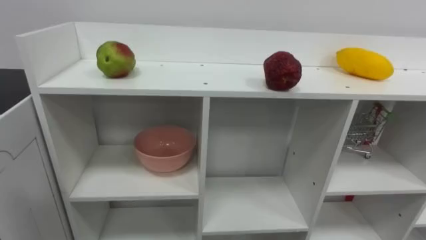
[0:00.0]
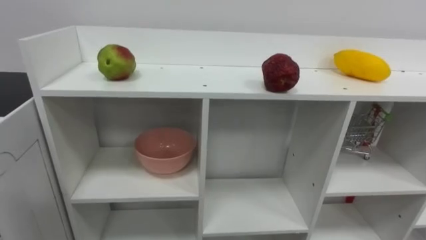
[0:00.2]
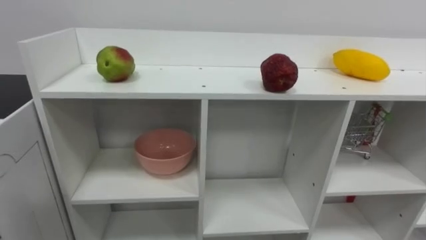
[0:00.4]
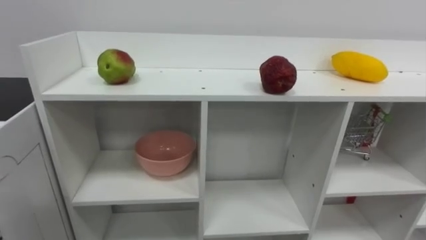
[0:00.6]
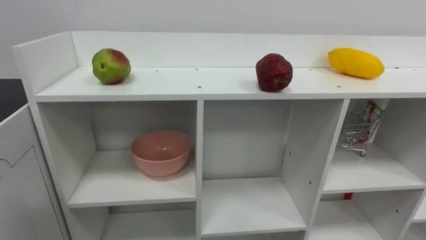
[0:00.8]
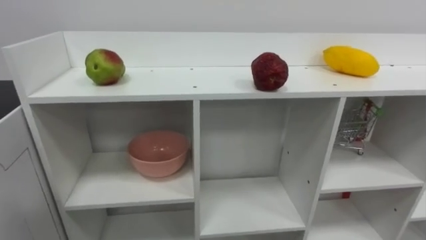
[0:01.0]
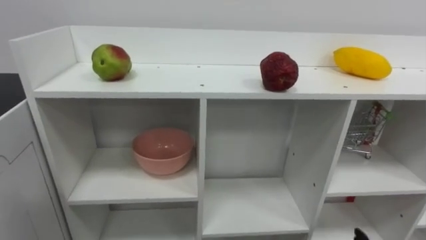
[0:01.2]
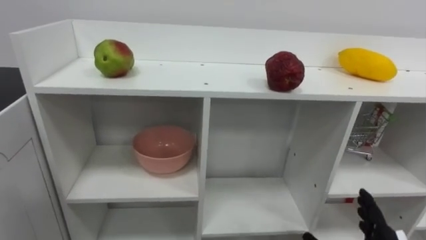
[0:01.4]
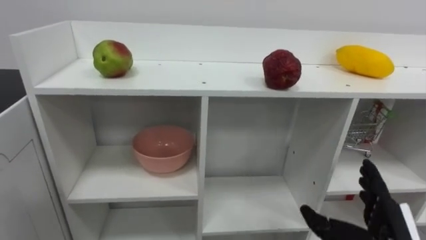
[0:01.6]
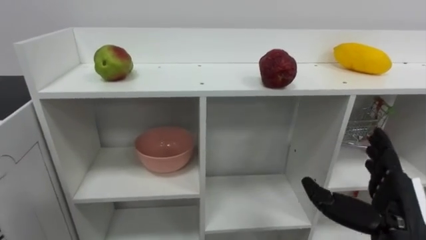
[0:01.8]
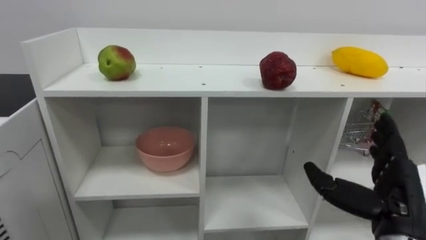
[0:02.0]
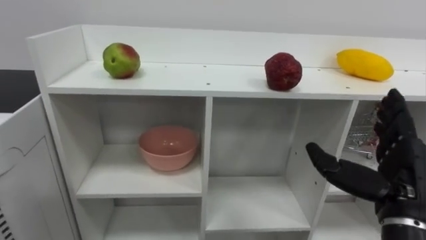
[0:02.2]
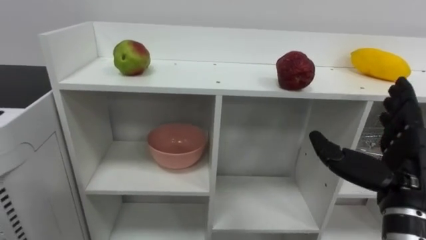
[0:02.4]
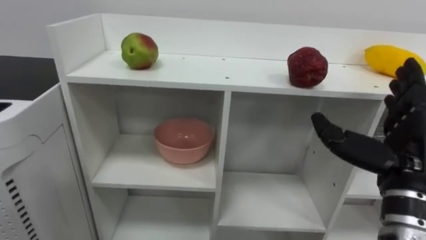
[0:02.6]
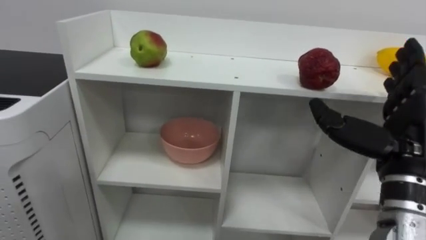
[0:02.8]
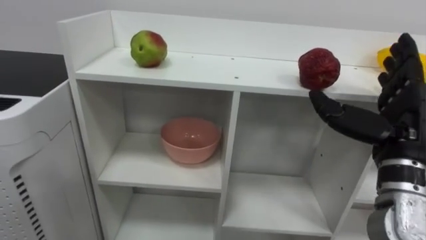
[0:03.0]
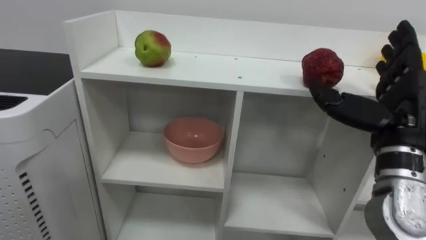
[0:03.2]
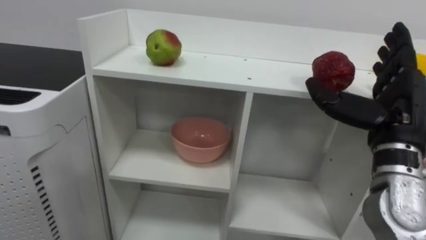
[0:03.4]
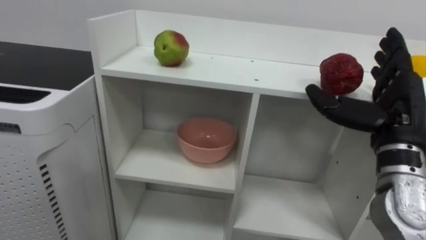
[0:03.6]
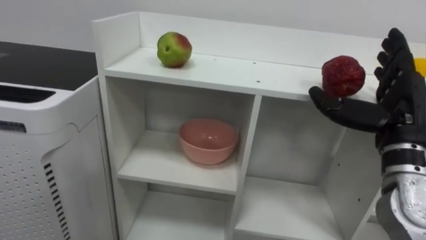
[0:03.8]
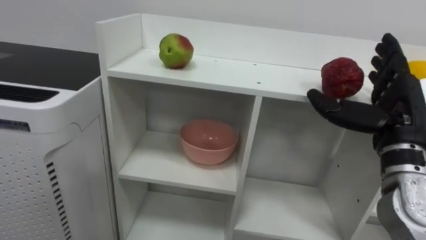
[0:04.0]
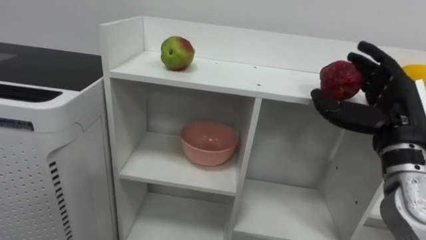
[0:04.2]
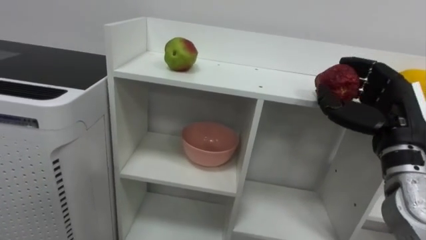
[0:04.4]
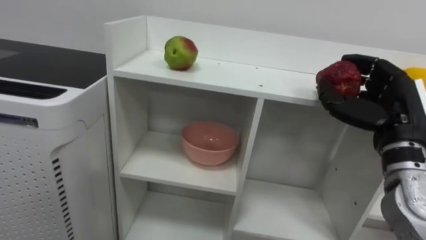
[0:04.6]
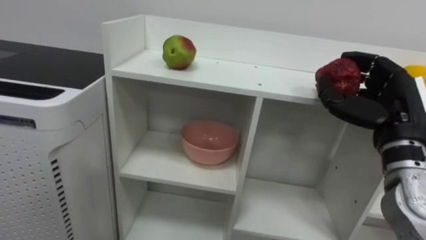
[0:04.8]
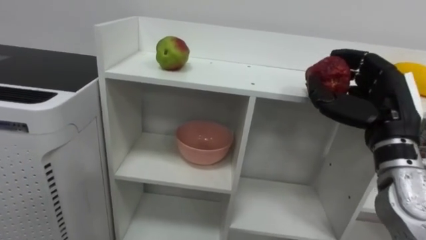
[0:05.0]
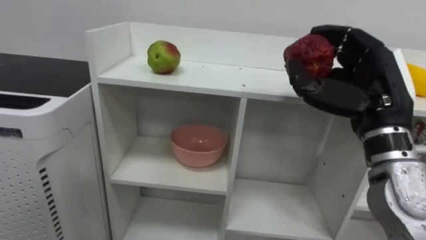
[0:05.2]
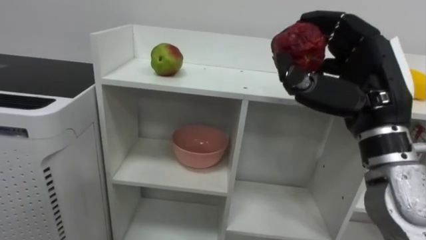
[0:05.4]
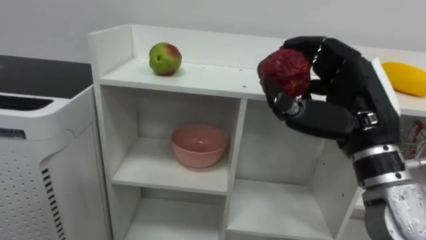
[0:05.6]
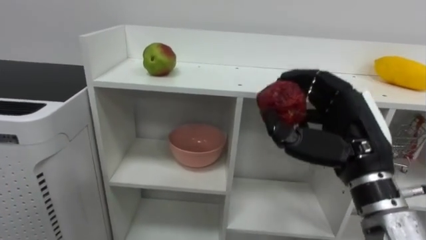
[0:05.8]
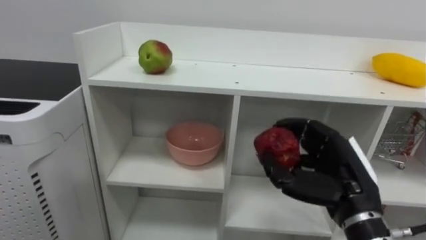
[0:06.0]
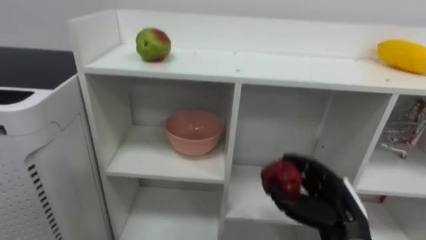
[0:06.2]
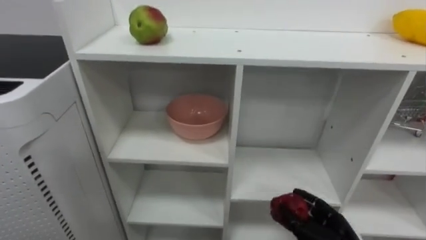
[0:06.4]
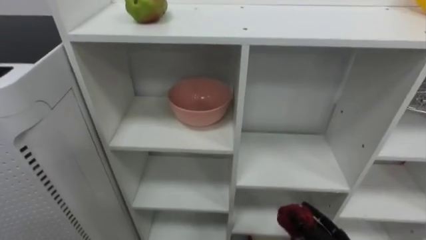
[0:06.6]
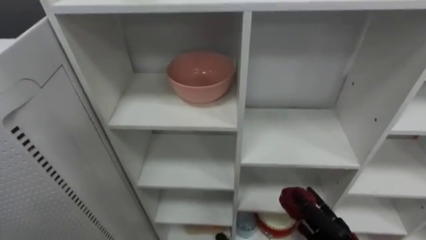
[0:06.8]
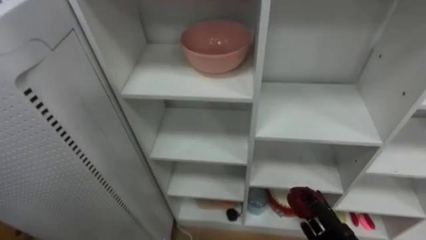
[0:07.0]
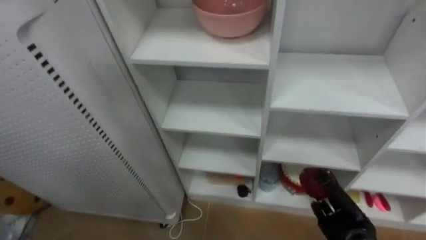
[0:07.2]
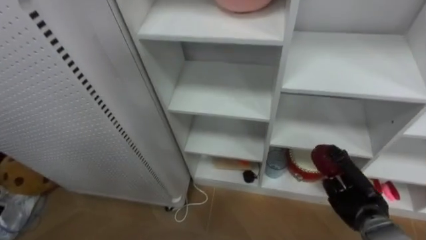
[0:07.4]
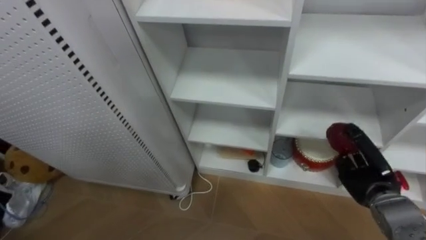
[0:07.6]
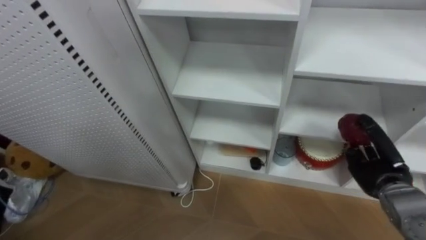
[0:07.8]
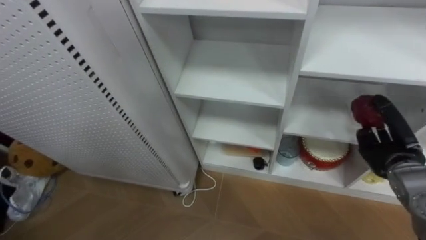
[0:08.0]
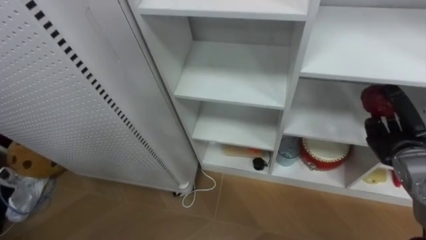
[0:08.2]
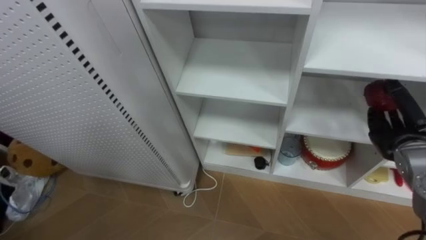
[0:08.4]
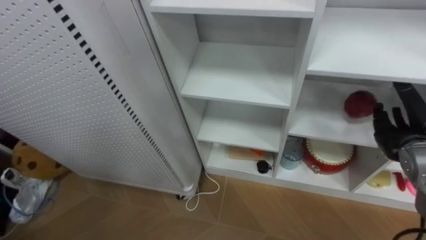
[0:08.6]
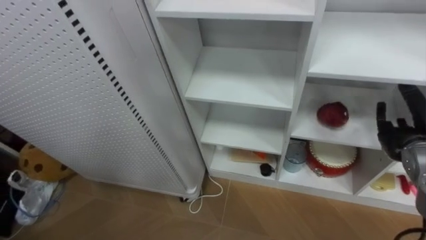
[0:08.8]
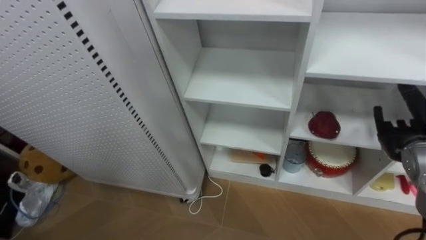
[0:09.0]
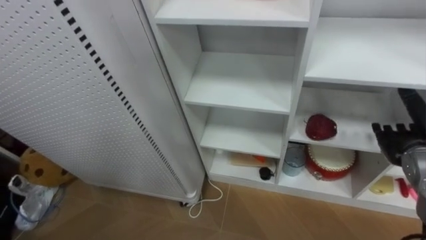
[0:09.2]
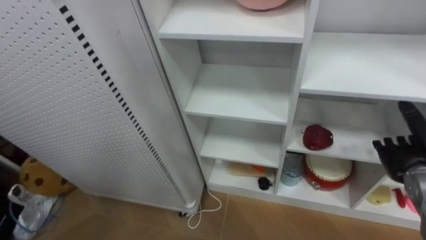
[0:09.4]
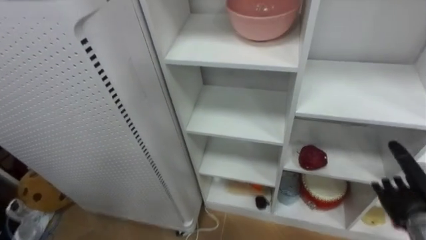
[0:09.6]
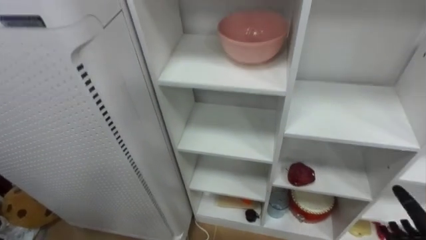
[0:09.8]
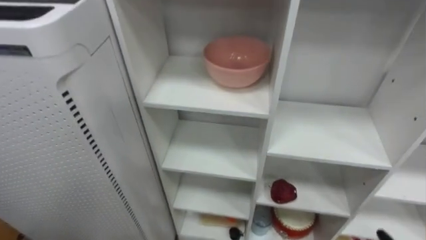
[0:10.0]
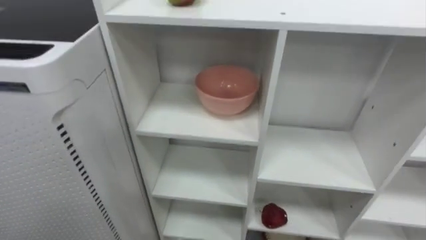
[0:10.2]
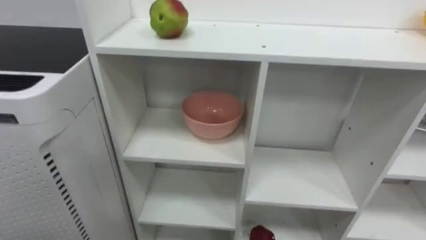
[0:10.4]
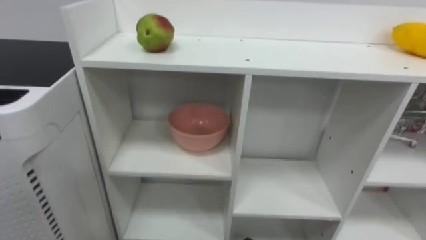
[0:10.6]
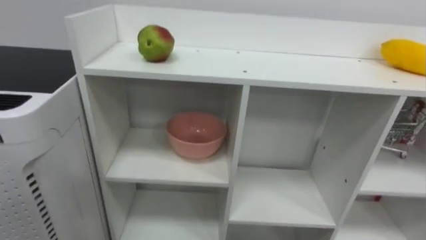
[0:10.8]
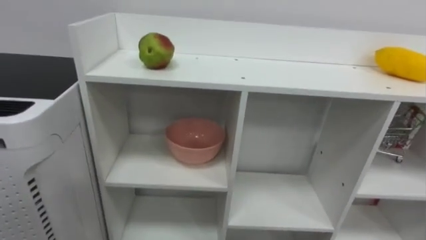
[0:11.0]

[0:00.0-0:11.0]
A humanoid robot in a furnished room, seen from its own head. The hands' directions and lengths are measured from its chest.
Task of the whole recording: Put the apple in the cell in the second column from the left and the second row from the top.
0:03.2 to 0:04.8: The right hand closes.
0:04.8 to 0:06.2: The right hand travels downward and to the left by approximately 15 cm.
0:07.8 to 0:09.4: The right hand shifts by roughly 5 cm, and opens up.

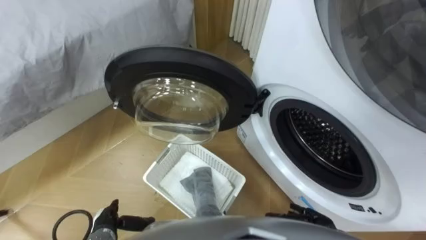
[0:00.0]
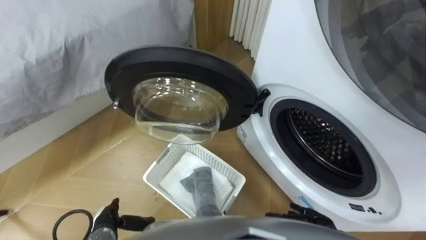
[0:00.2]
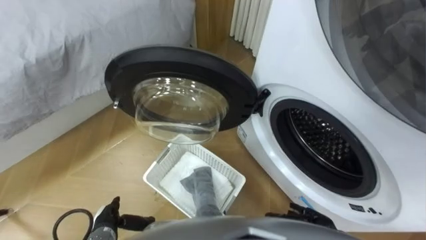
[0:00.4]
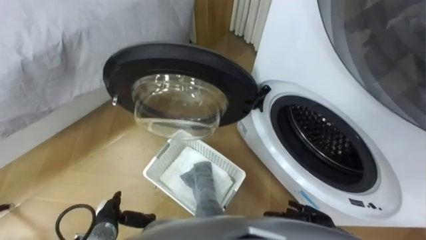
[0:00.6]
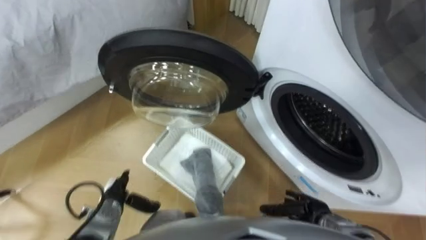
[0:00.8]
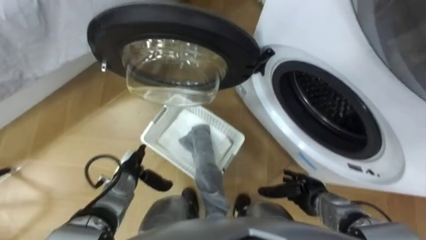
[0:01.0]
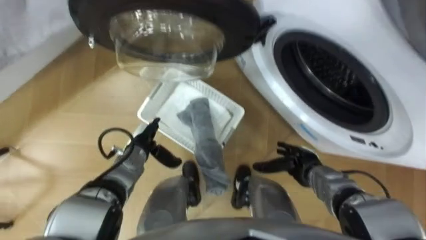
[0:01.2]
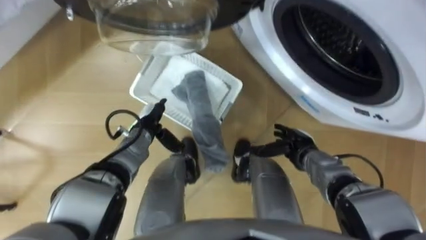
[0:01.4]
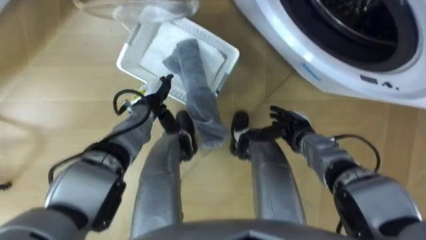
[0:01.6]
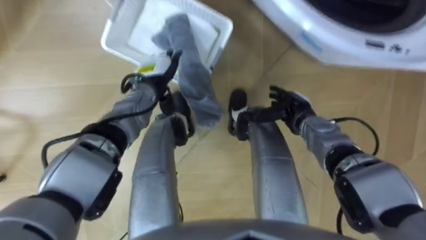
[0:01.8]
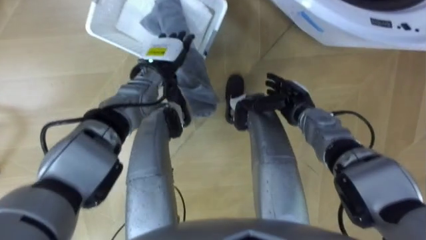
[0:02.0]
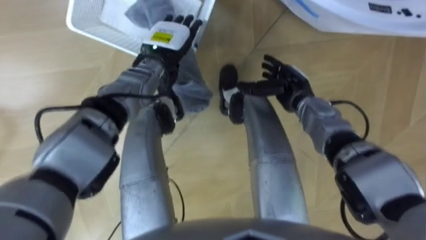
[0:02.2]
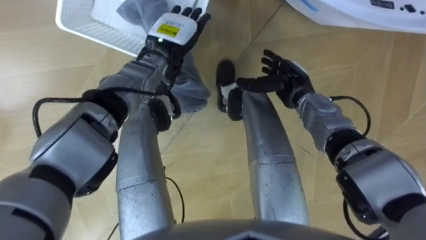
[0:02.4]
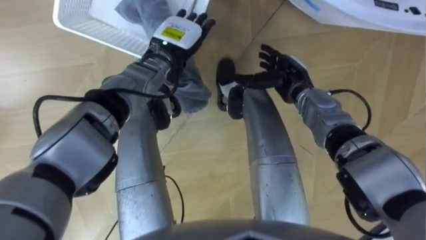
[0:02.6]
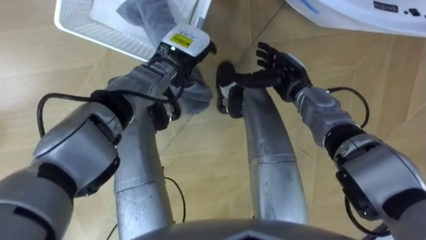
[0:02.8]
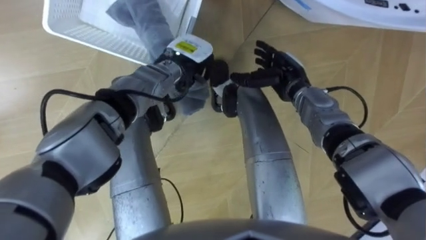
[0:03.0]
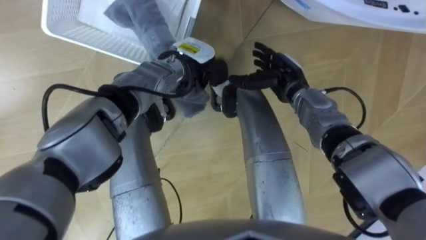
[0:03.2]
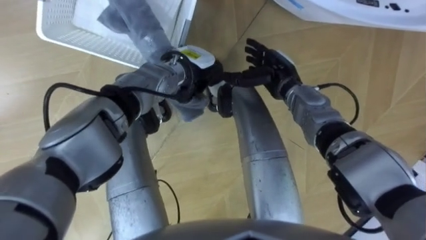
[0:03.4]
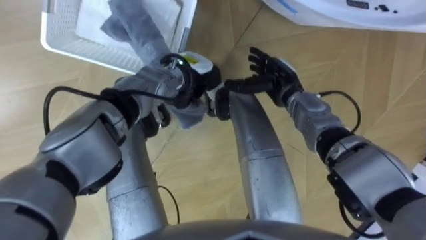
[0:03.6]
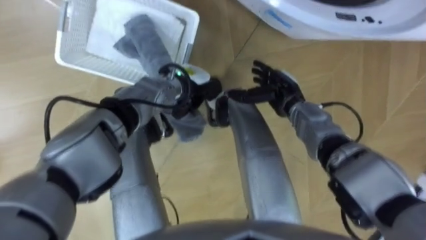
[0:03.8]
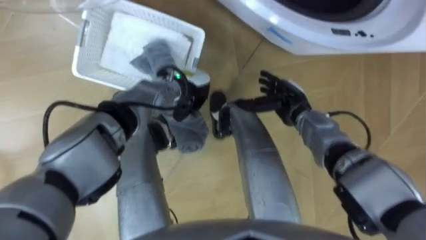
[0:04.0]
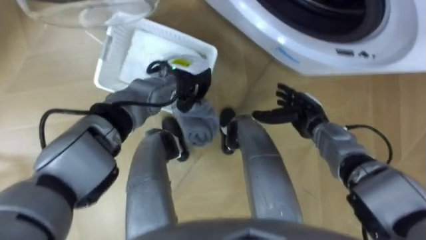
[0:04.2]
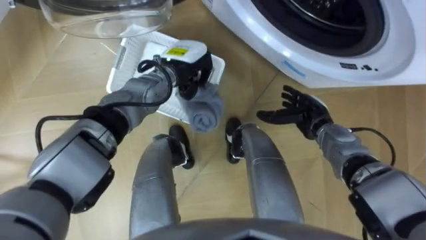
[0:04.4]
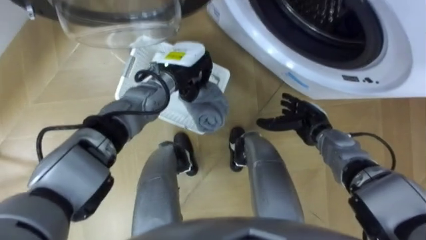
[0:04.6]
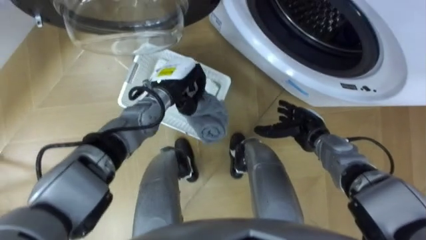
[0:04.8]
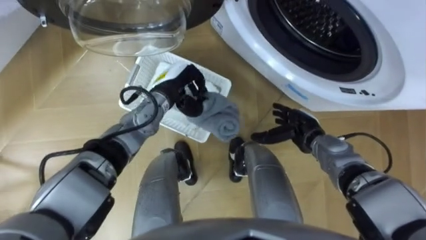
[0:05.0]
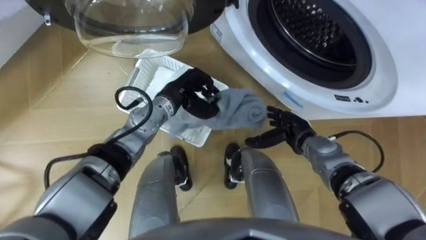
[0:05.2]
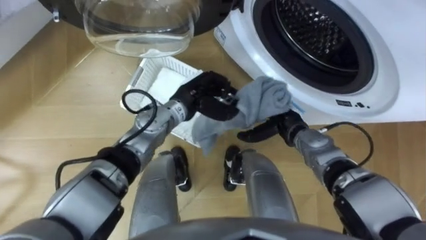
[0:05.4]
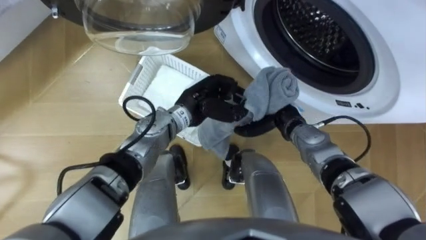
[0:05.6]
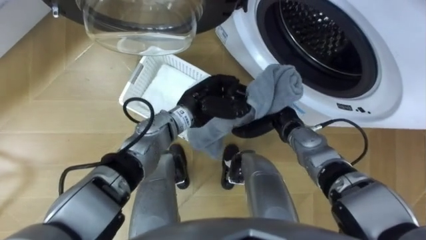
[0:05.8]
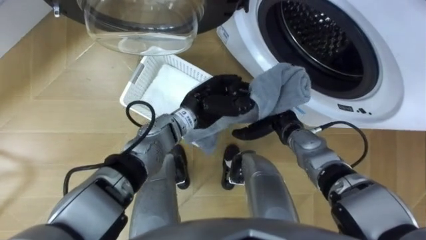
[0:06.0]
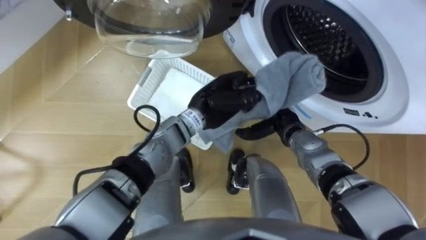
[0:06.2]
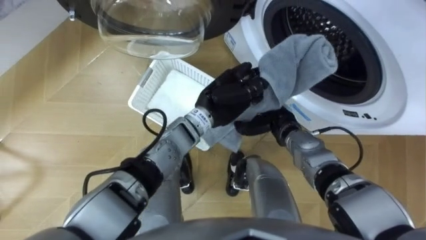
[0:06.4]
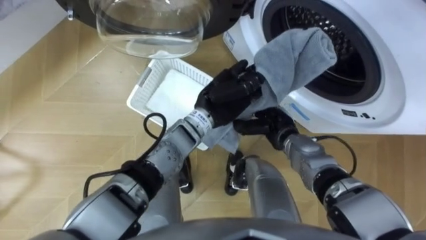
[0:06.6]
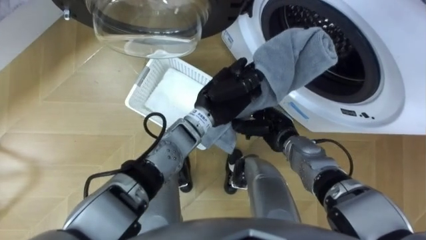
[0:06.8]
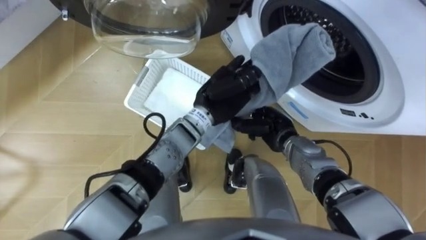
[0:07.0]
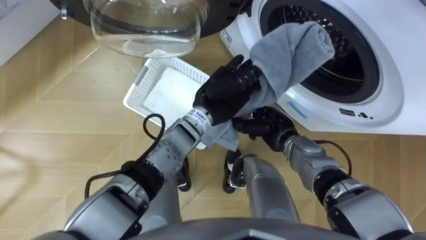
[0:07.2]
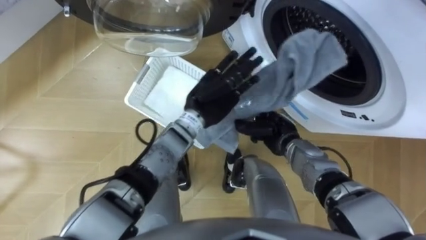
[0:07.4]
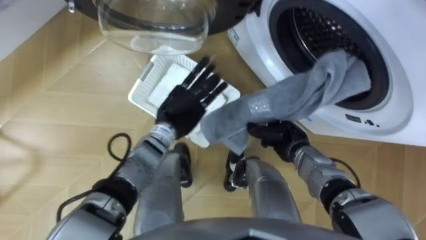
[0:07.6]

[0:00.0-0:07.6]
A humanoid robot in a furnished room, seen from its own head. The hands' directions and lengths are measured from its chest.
Task of the whole recording: Take the towel from the basket and put it into the washing machine.
0:01.6 to 0:03.0: The right hand travels forward and upward by some 15 cm; the left hand goes roughly 15 cm to the right, upward and forward, and closes up.
0:03.0 to 0:04.6: The right hand heads backward, downward and to the right, covering some 10 cm.
0:04.6 to 0:06.0: The left hand moves backward and to the right, about 10 cm, while the right hand travels to the left by approximately 5 cm.
0:06.0 to 0:07.6: The right hand closes, while the left hand heads to the left, covering roughly 5 cm, and opens its fingers.
